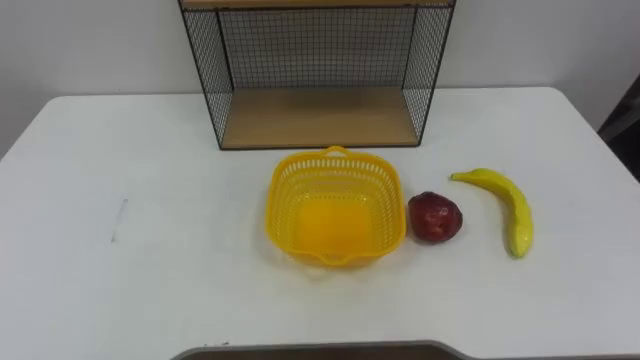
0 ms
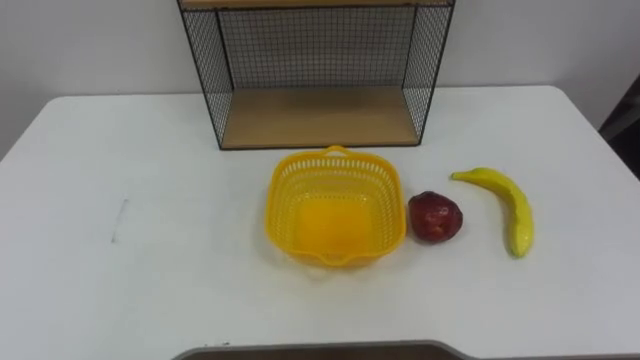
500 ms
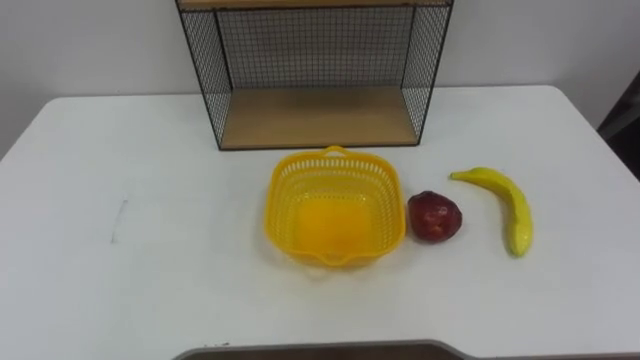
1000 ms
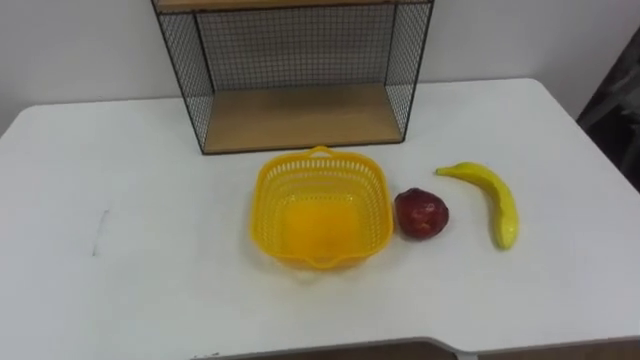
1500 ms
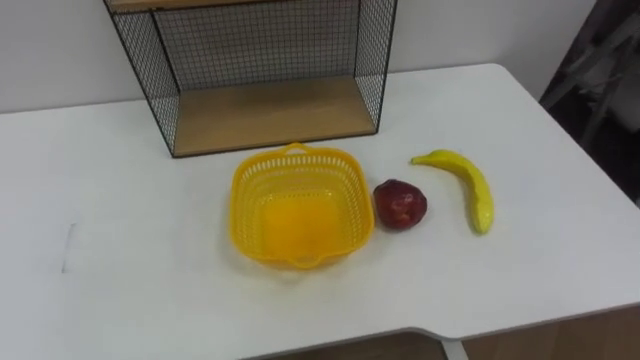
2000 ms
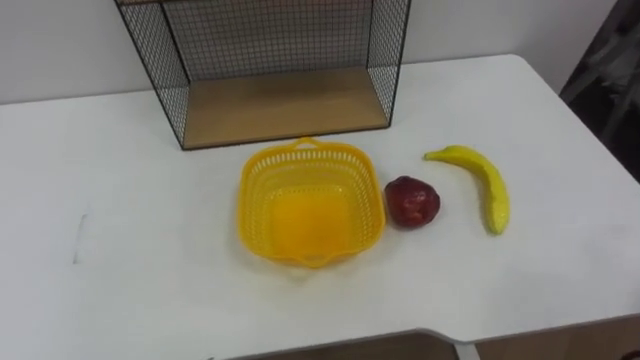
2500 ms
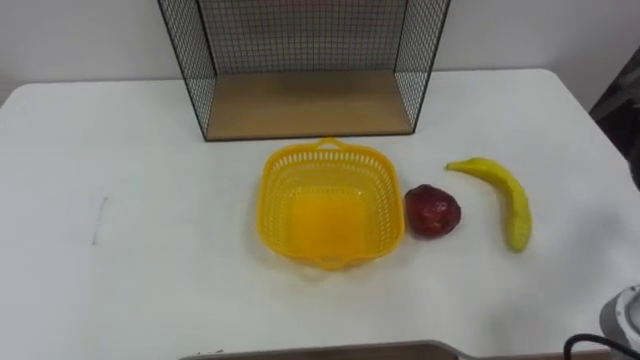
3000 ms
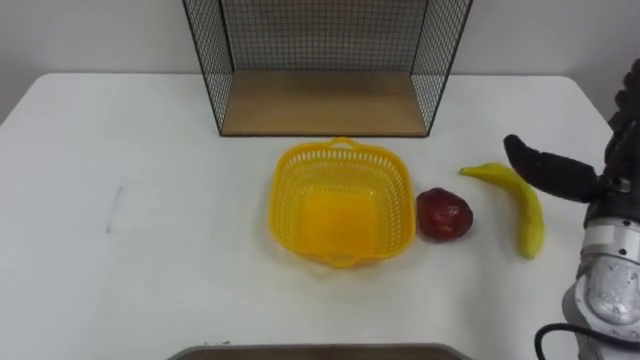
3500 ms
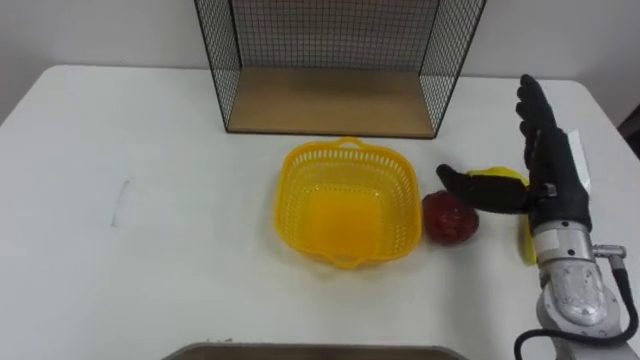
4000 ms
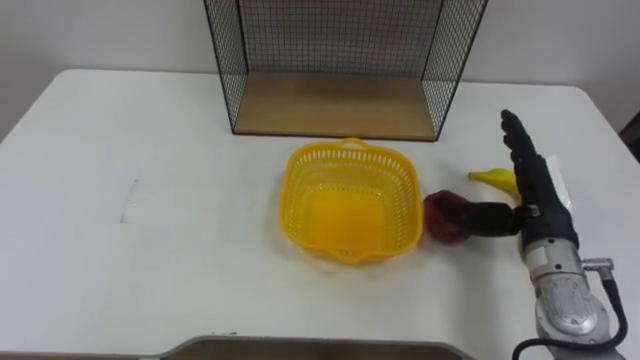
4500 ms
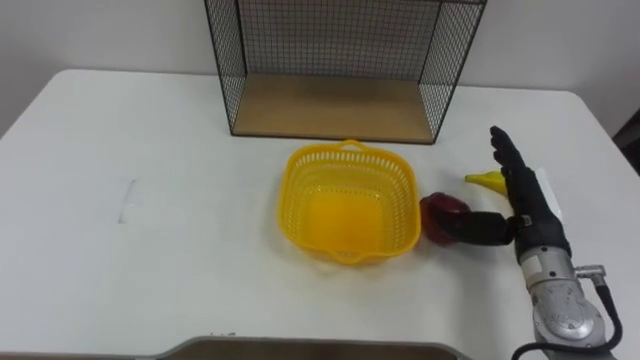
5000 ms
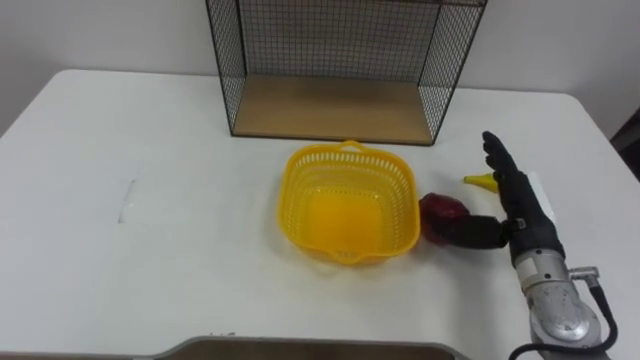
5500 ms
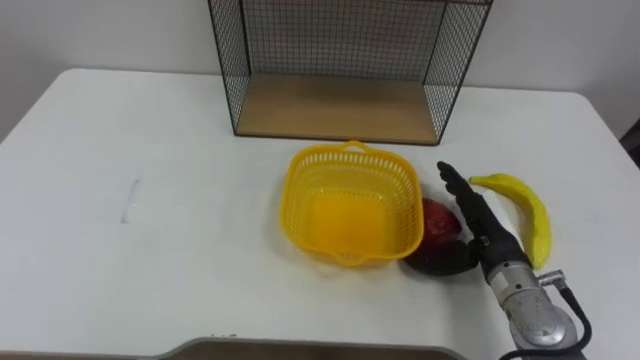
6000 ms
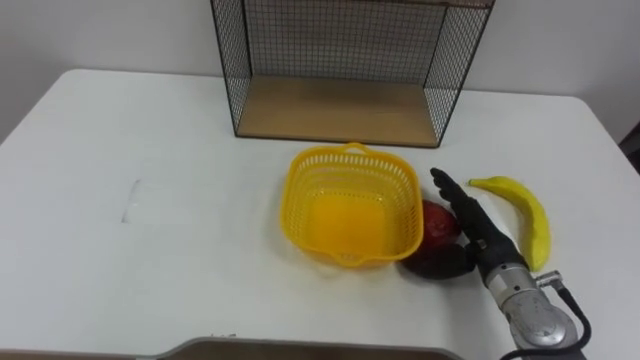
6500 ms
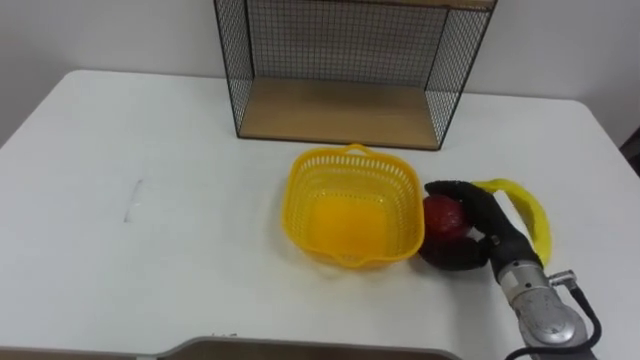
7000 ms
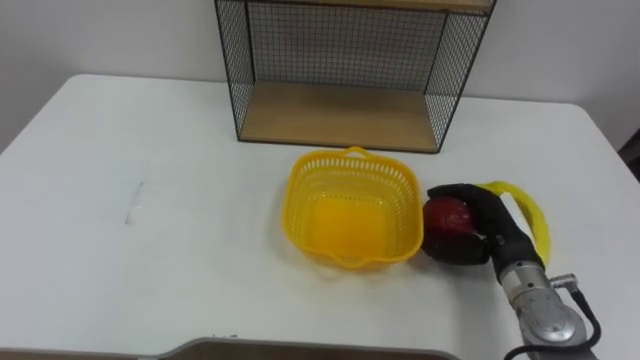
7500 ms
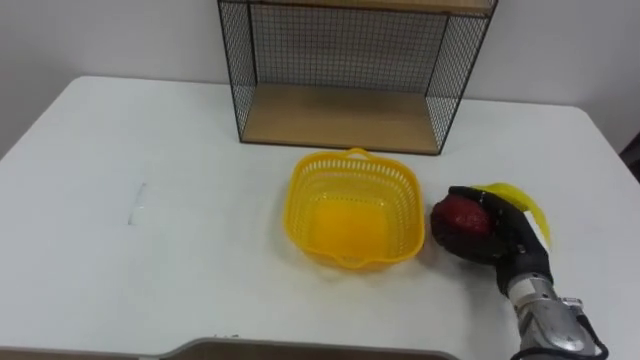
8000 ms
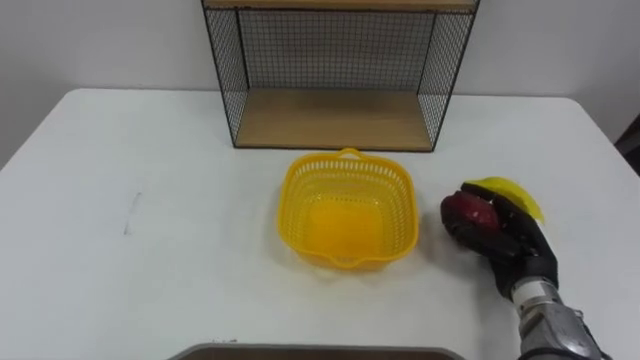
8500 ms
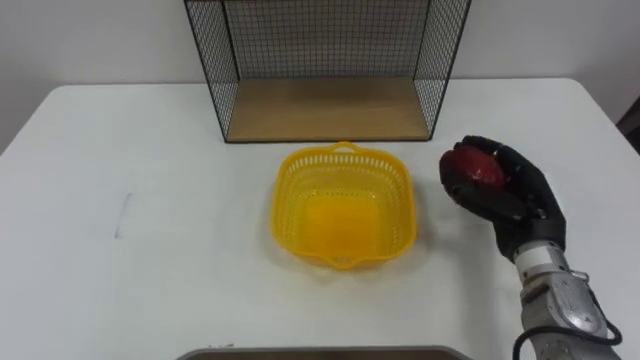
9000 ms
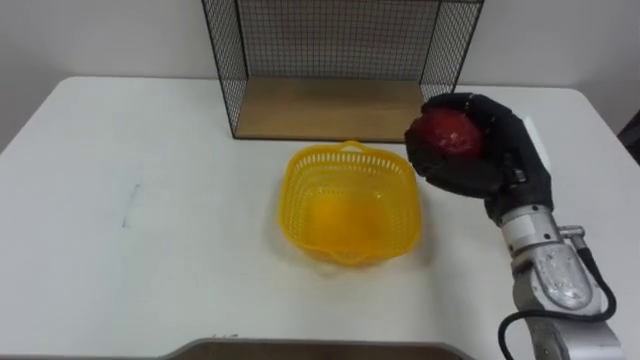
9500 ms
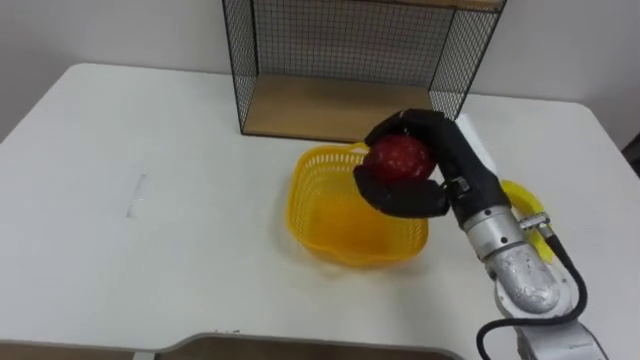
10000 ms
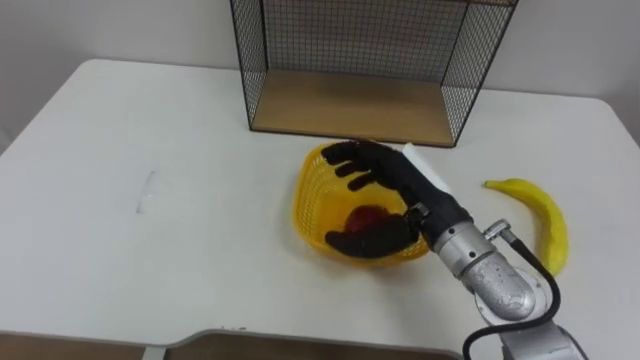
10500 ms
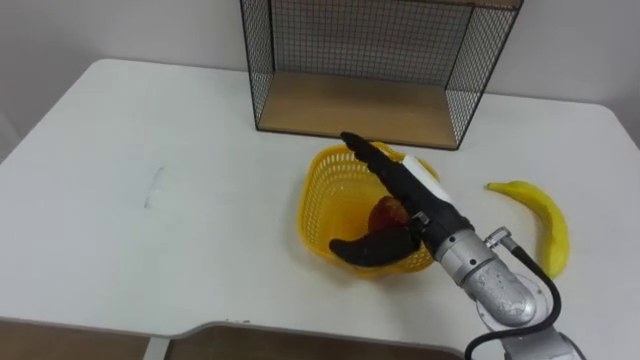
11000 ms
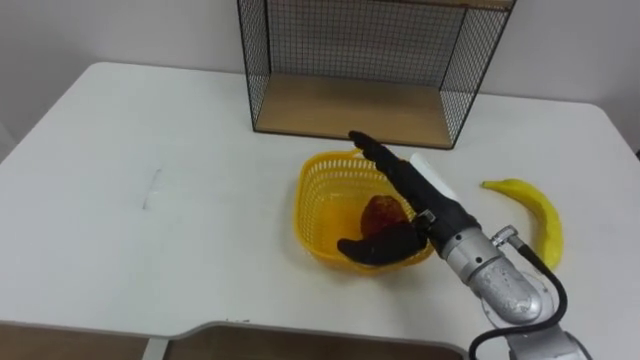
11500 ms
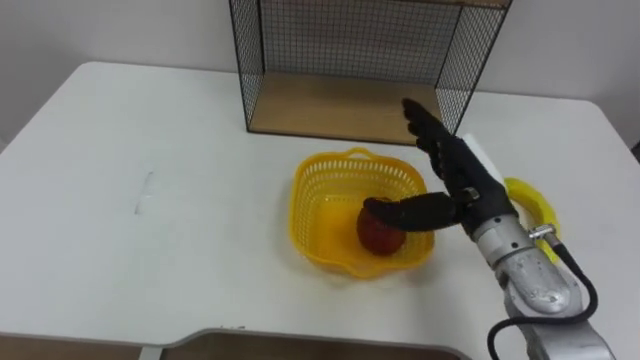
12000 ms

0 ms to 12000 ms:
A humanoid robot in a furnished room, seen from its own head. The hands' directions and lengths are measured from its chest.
Task of the whole recording: Put the fruit on the table into the basket, then place the basket on the shelf.
4000 ms to 6000 ms: The right hand is displaced downward by some 10 cm.
6000 ms to 8000 ms: The right hand closes up.
8000 ms to 10000 ms: The right hand heads upward and to the left, covering approximately 15 cm.
10000 ms to 12000 ms: The right hand opens up.

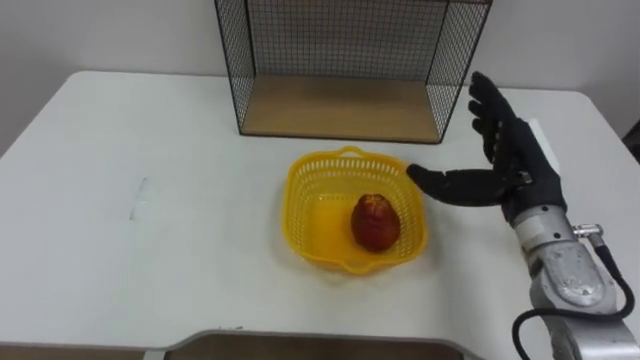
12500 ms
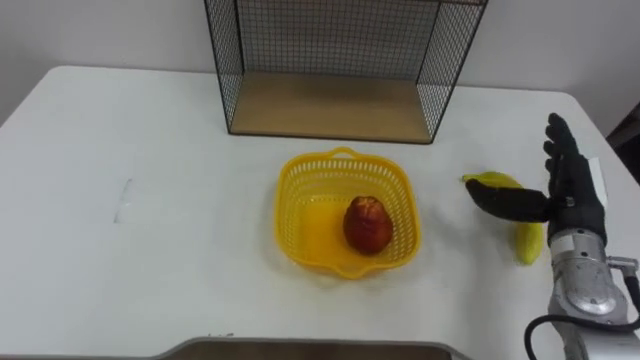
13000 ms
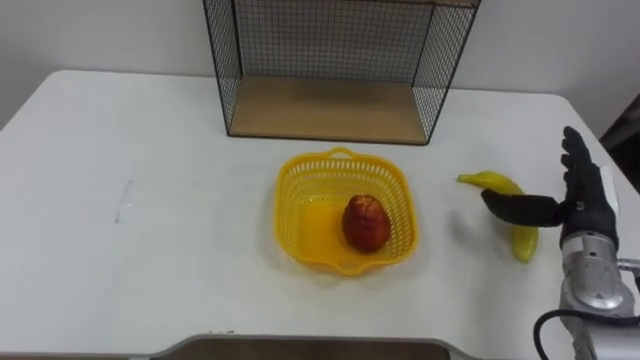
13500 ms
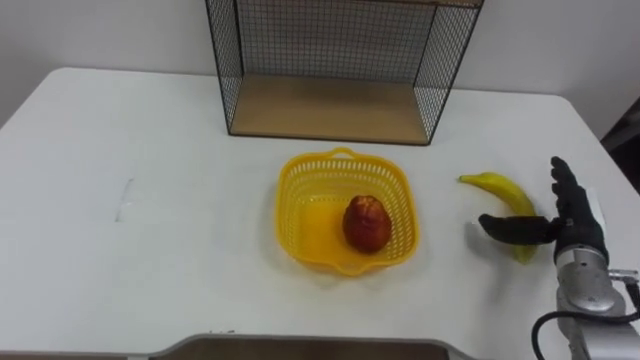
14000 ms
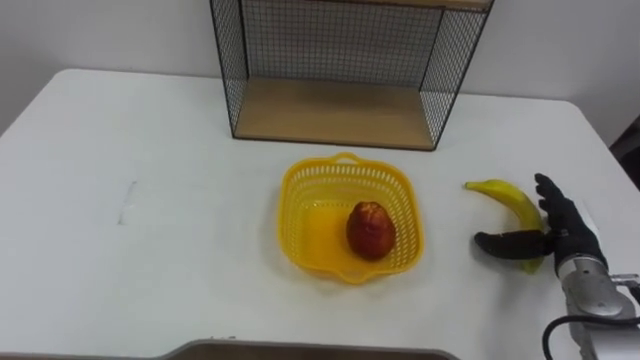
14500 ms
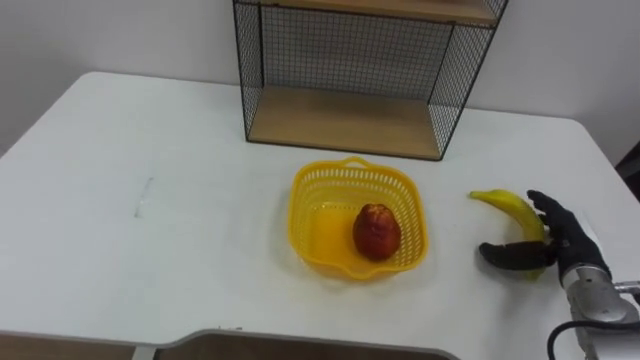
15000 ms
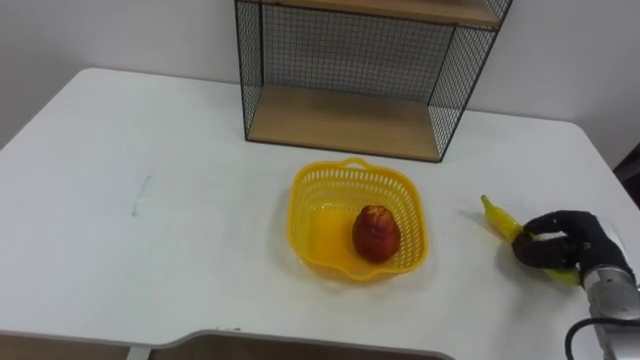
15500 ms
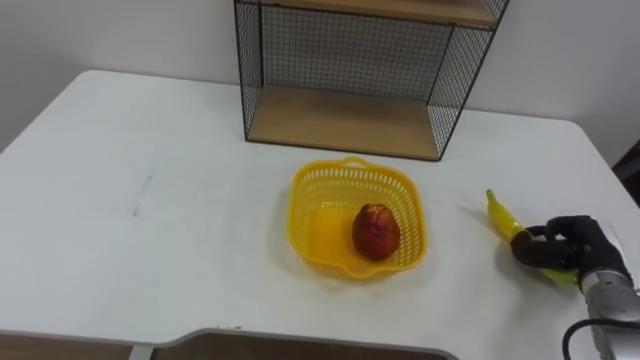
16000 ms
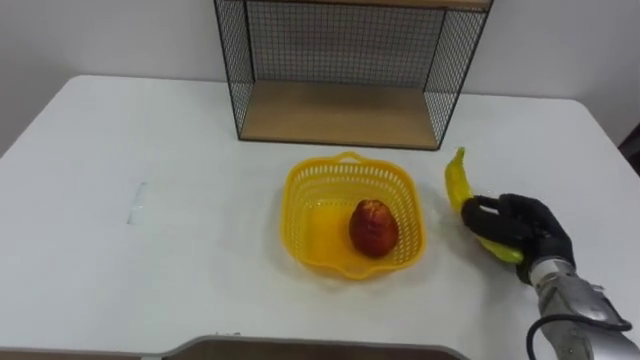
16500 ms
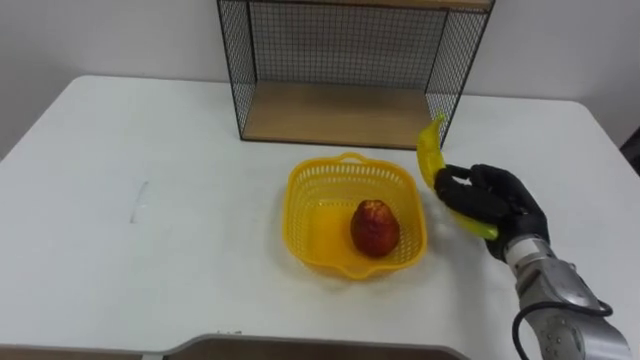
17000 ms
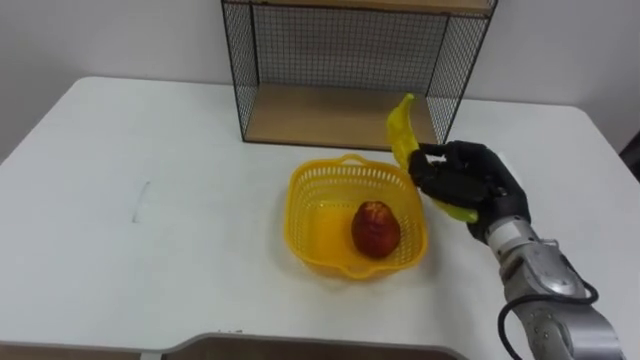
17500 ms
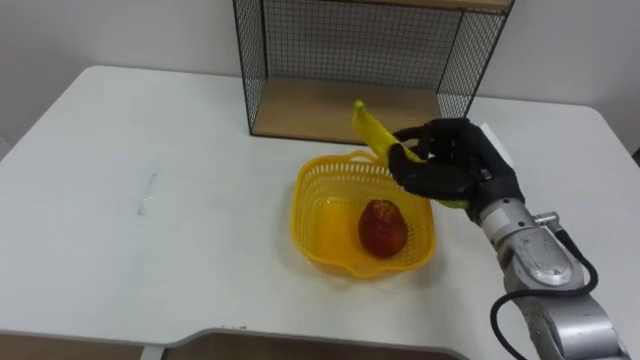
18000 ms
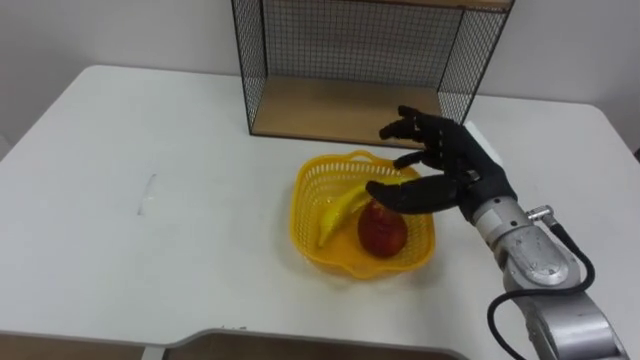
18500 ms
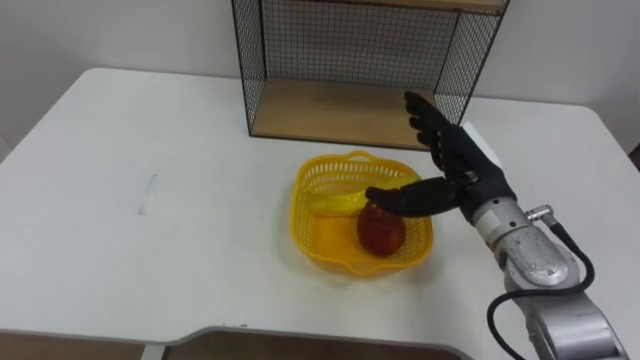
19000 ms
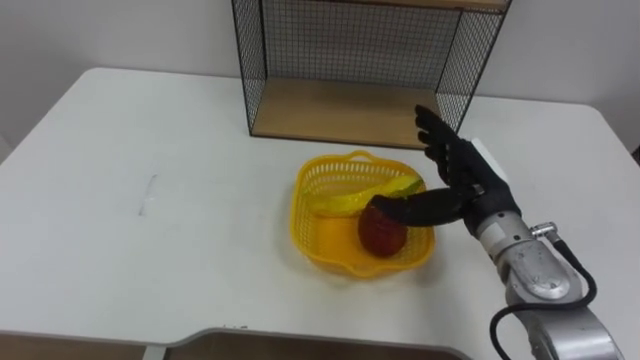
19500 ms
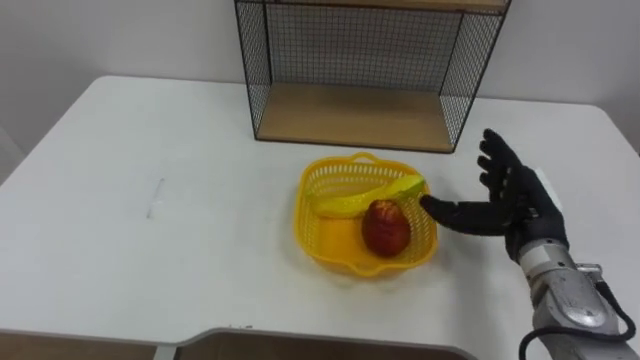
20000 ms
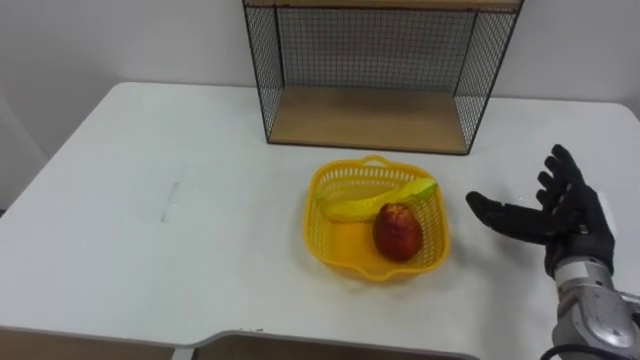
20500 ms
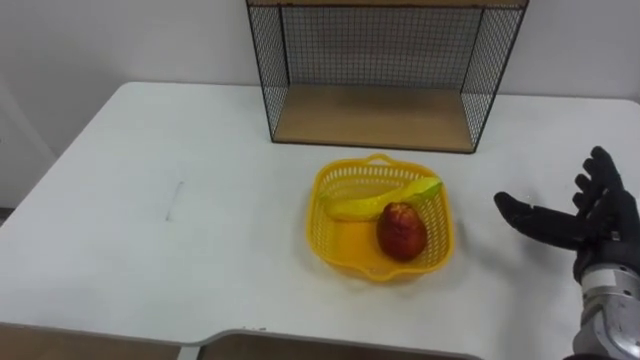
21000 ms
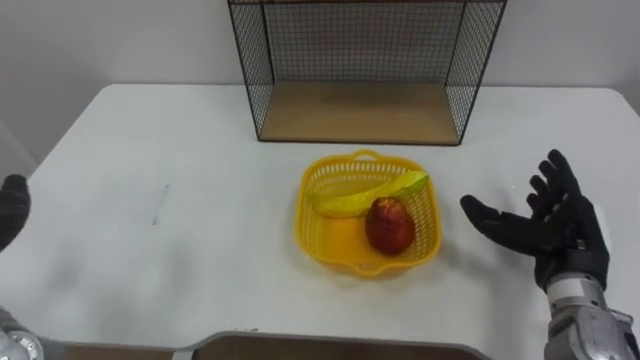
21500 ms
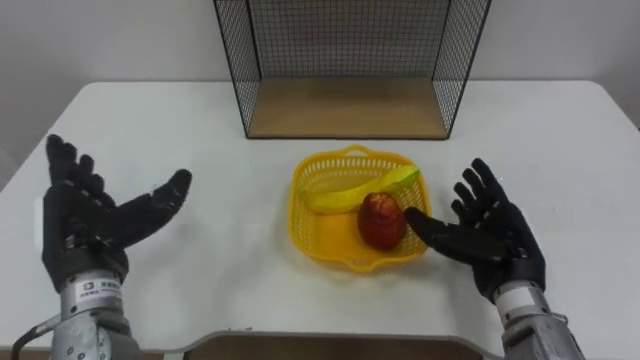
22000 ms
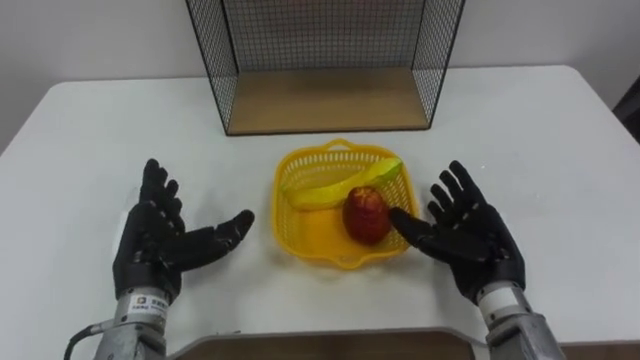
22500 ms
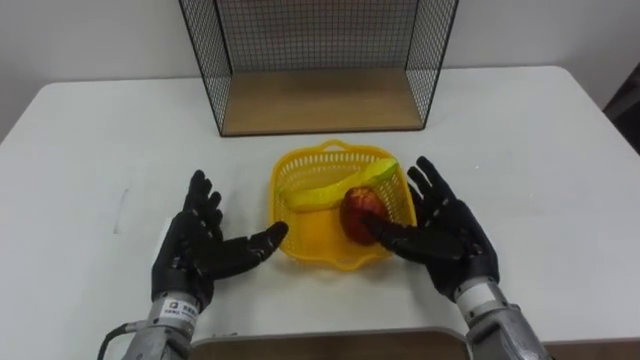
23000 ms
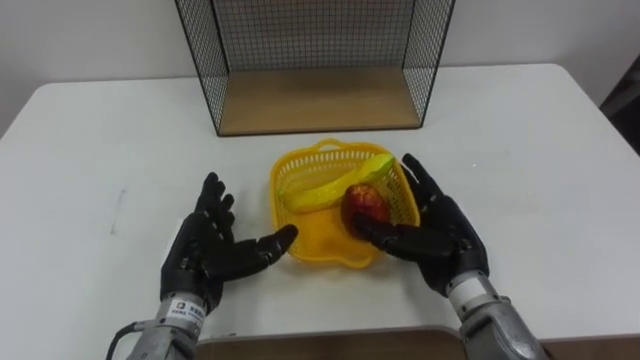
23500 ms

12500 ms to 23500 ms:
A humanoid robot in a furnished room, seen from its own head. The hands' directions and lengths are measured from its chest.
Task of the whole recording: Put the fruit on the table into the basket, then place the basket on the shelf.
12500 ms to 14500 ms: The right hand travels downward and to the right by roughly 15 cm.
14500 ms to 16000 ms: The right hand closes.
16000 ms to 18000 ms: The right hand moves to the left and upward, about 20 cm.
18000 ms to 20000 ms: The right hand moves to the right, approximately 5 cm, and opens.
21500 ms to 23500 ms: The right hand shifts approximately 15 cm to the left.
